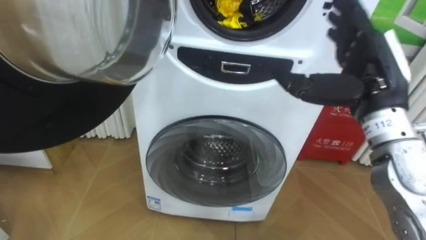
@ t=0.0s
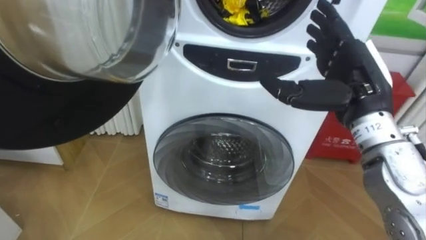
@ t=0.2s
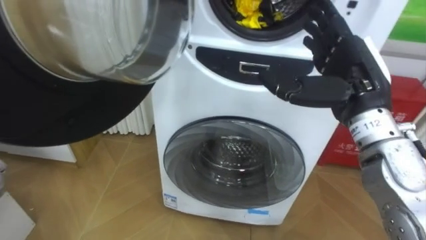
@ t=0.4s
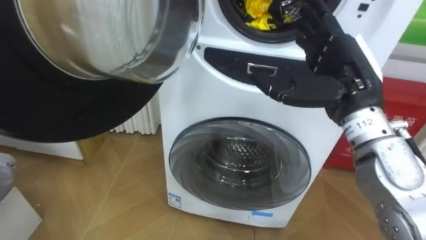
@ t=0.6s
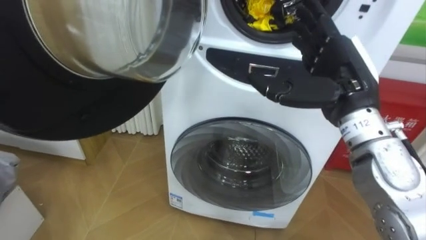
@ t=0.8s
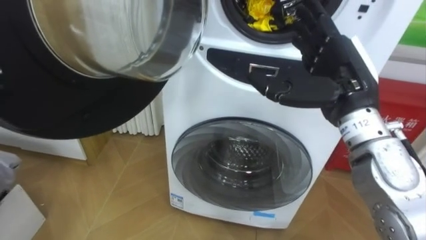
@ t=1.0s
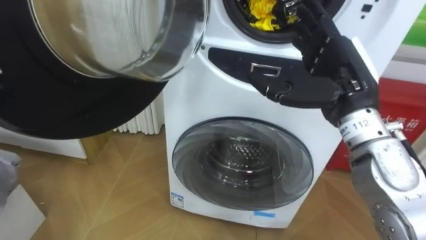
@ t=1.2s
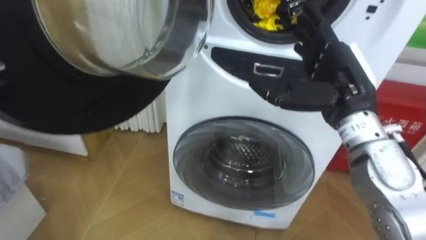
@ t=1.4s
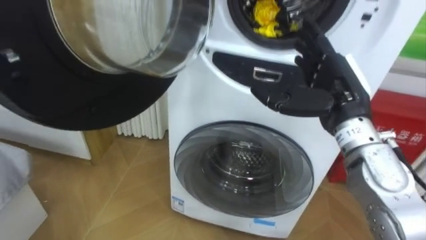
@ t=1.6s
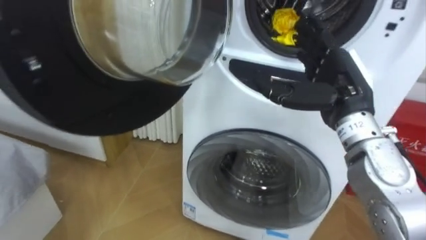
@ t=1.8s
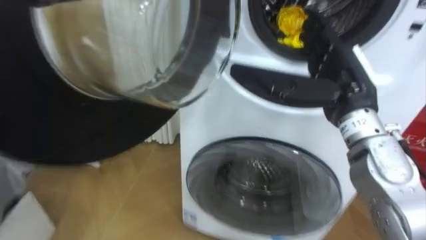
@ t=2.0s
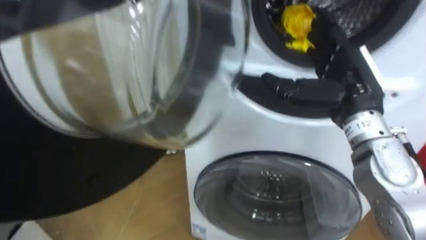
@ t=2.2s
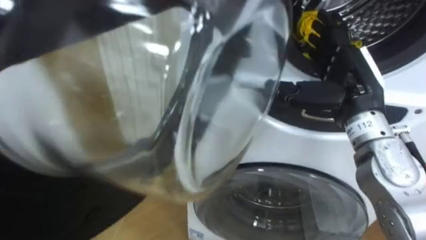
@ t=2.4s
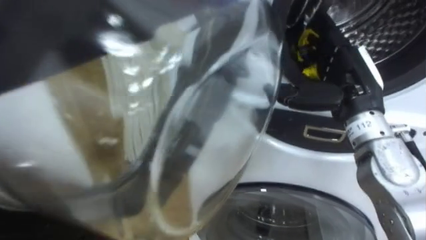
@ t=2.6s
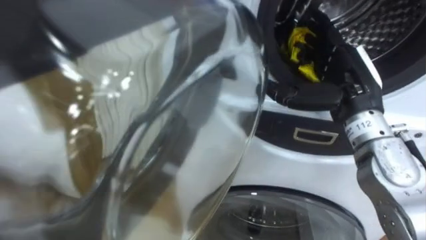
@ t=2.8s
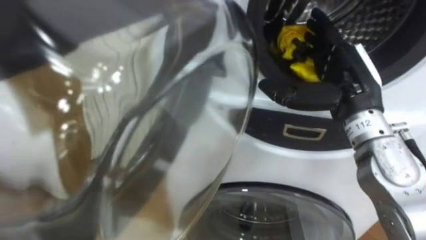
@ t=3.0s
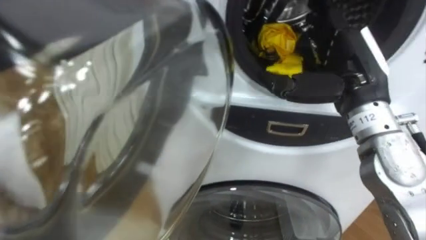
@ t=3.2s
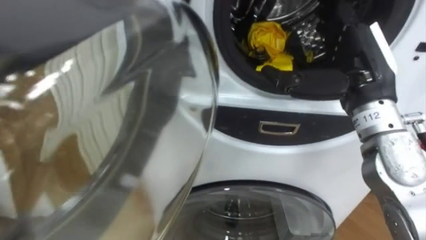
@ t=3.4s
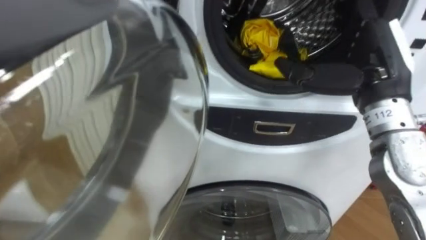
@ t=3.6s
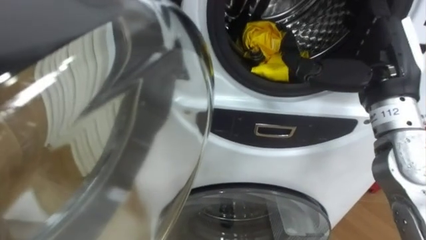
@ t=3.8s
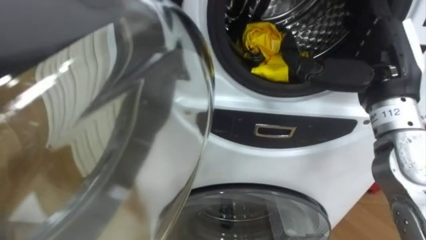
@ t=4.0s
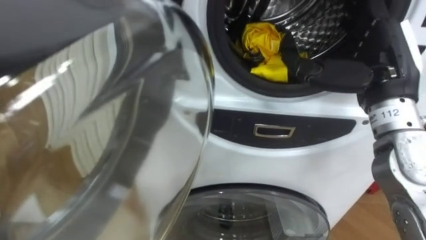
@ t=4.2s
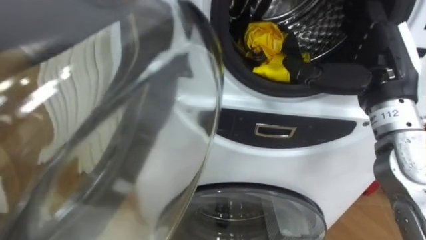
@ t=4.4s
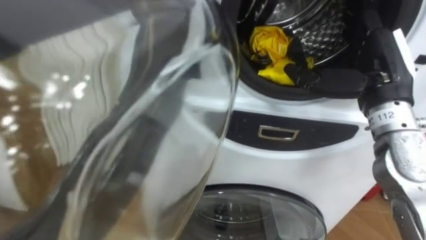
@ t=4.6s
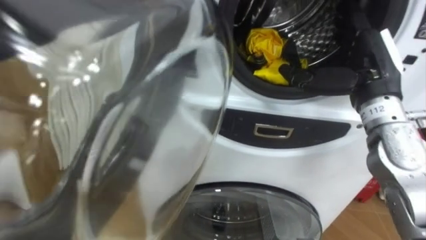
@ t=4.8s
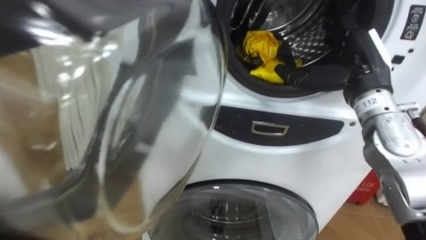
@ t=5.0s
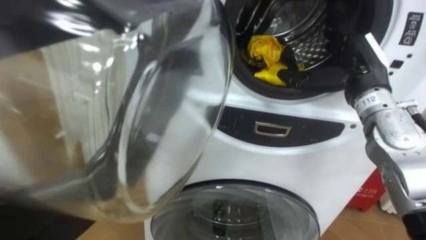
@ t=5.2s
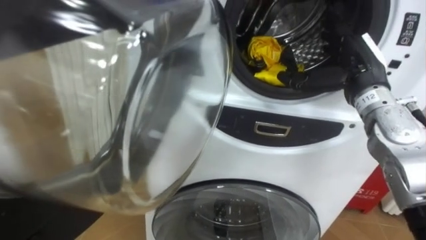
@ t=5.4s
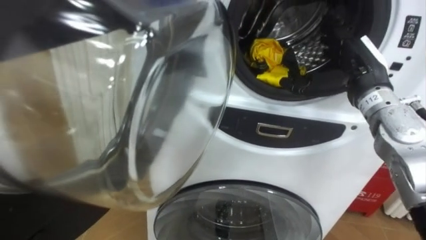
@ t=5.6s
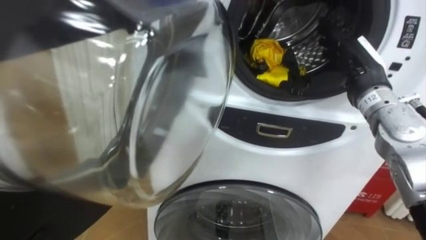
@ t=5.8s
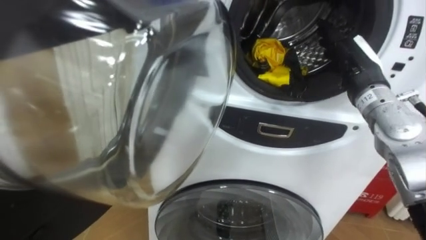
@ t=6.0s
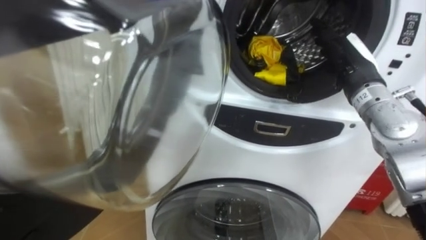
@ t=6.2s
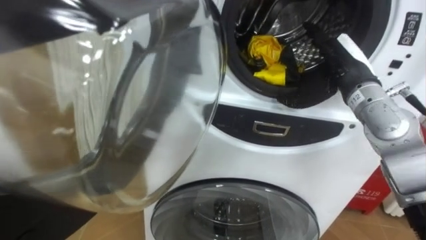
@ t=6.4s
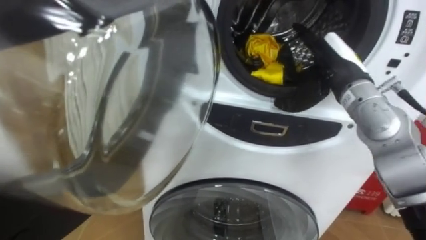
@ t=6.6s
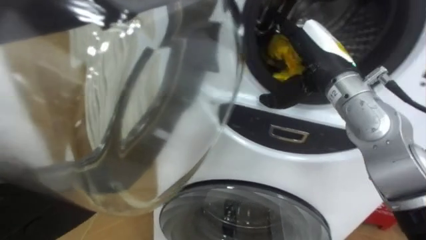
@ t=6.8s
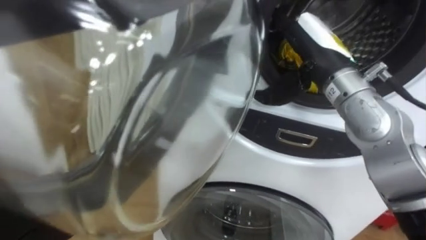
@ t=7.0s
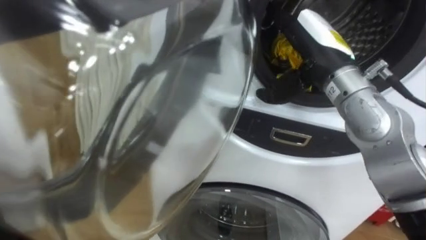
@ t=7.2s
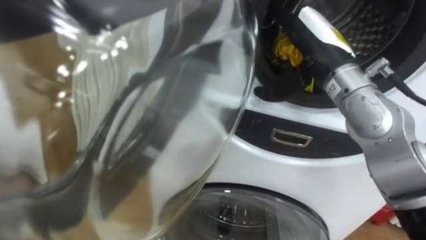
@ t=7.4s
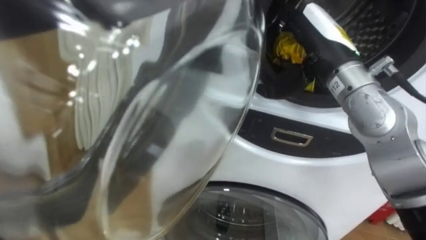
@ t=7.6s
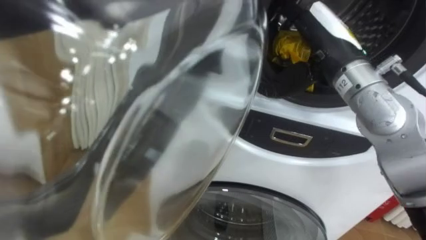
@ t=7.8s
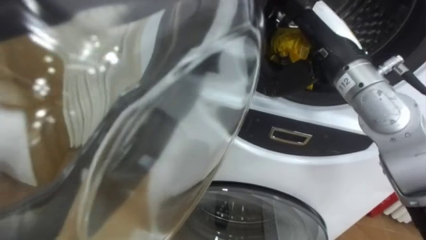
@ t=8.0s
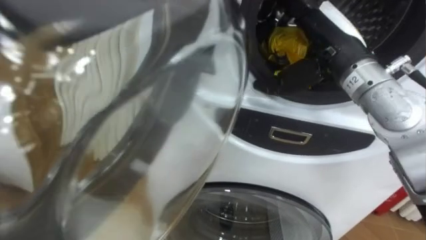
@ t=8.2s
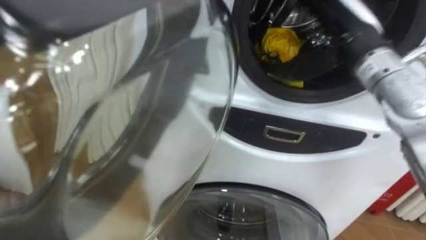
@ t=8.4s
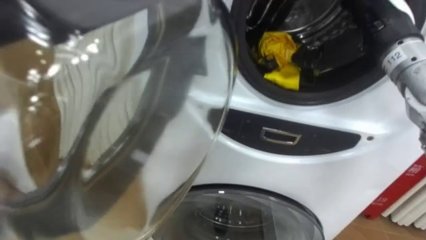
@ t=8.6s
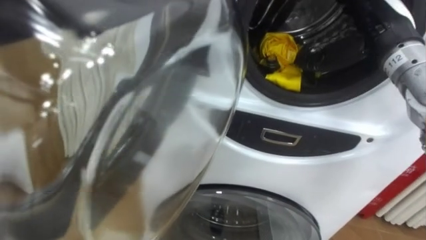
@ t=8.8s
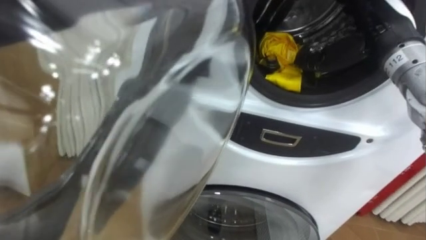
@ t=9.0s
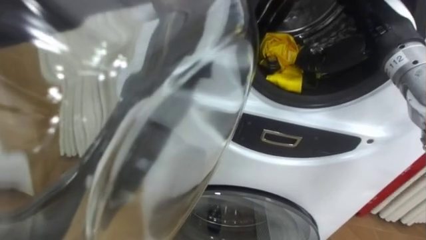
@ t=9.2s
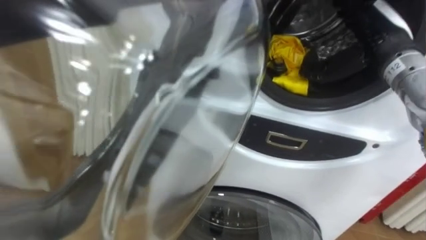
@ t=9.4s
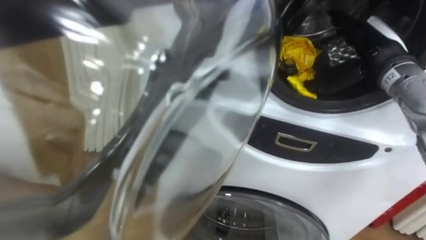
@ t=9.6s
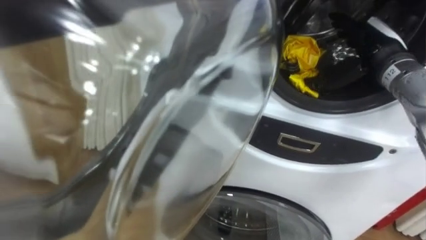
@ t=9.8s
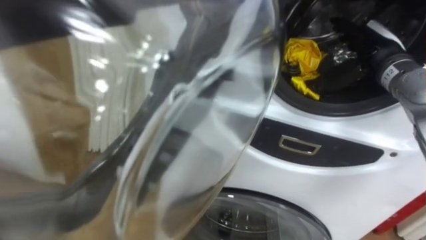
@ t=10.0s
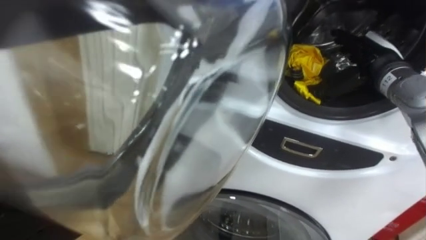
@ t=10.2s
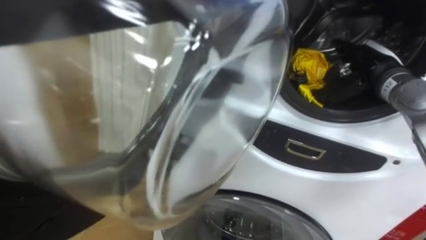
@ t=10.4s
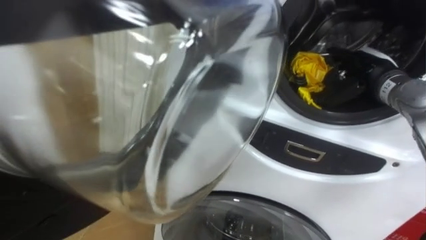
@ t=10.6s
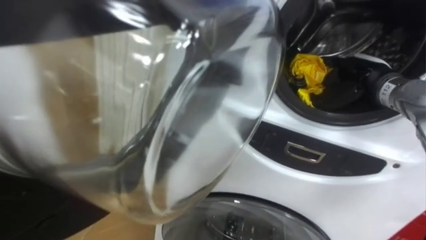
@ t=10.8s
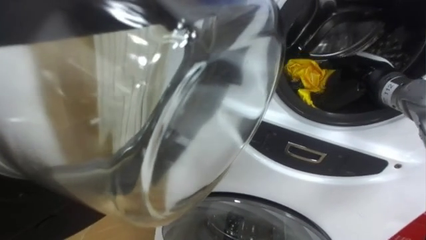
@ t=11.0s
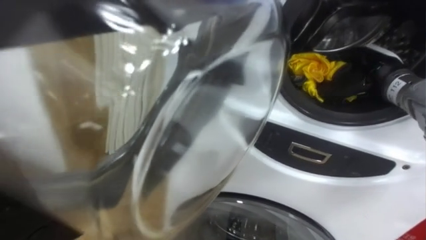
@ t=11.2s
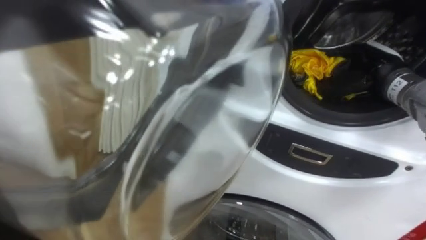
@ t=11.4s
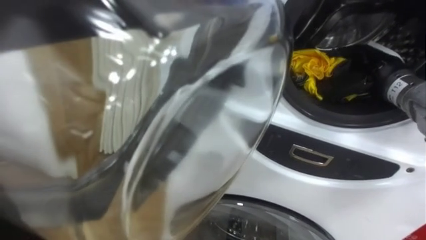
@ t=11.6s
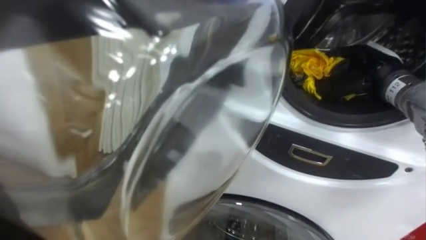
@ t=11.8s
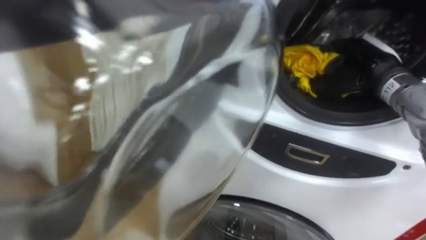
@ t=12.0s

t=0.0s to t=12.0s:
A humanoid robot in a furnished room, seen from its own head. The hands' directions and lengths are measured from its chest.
Task of the whole recording: Open the washing machine door, take out the yellow clothes, place them in the box on the right, and close the washing machine door.
t=0.0s to t=1.6s: The right hand moves about 5 cm.
t=4.4s to t=6.0s: The right hand travels forward by about 5 cm.
t=6.0s to t=7.6s: The right hand heads to the left and upward, covering some 10 cm.
t=7.6s to t=9.0s: The right hand travels to the right by about 10 cm.
t=9.0s to t=10.4s: The right hand heads downward, covering some 10 cm.
t=10.4s to t=12.0s: The right hand closes its fingers.

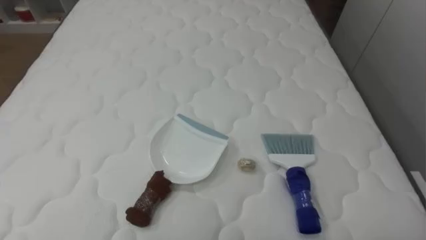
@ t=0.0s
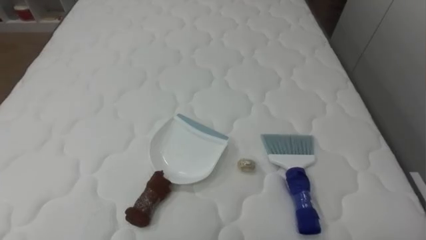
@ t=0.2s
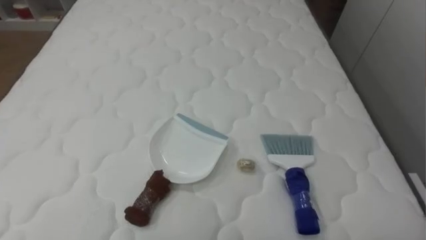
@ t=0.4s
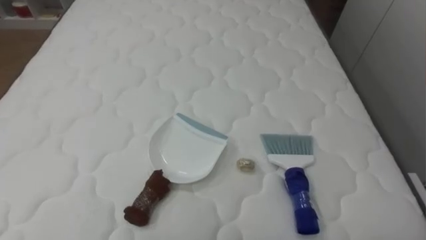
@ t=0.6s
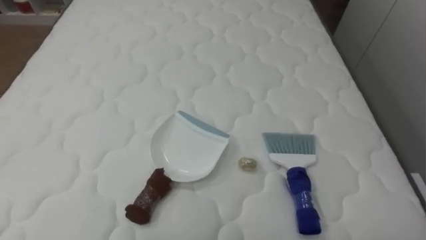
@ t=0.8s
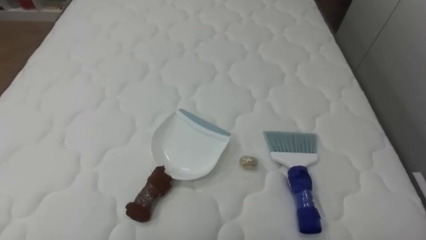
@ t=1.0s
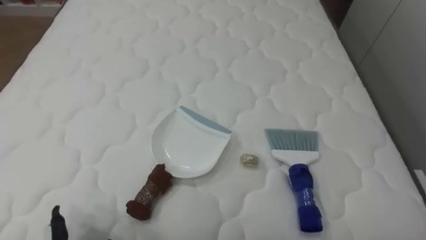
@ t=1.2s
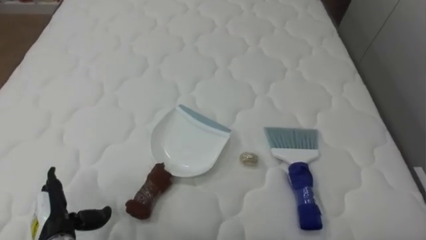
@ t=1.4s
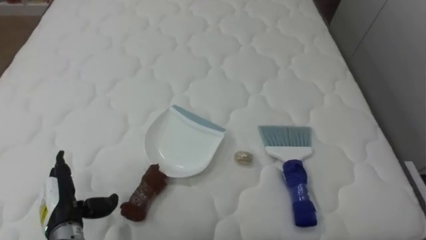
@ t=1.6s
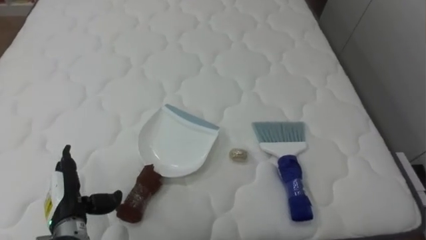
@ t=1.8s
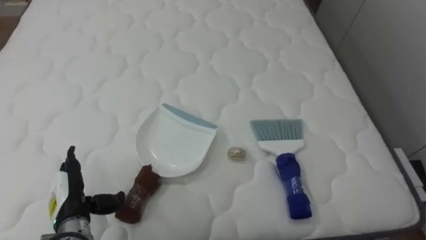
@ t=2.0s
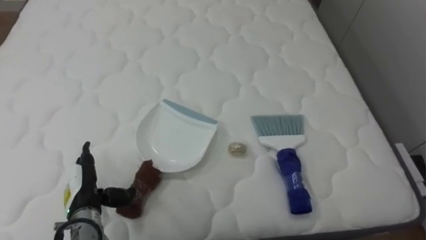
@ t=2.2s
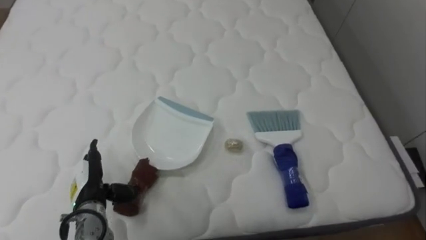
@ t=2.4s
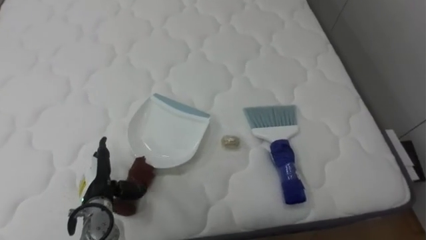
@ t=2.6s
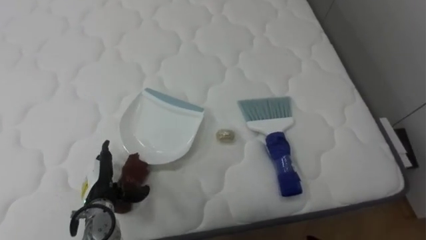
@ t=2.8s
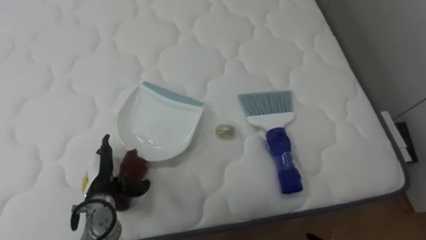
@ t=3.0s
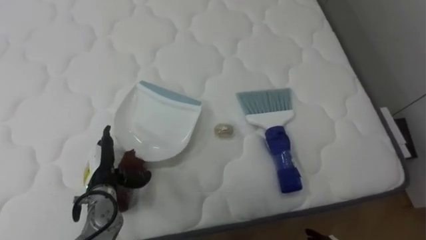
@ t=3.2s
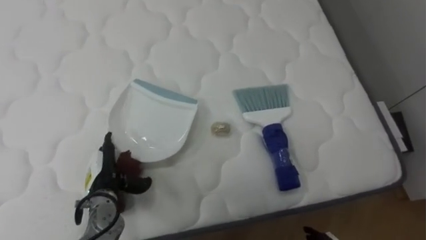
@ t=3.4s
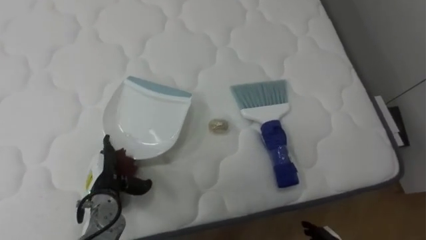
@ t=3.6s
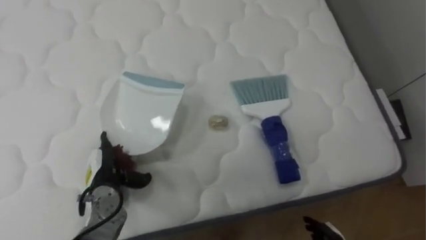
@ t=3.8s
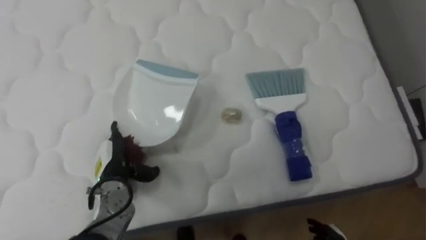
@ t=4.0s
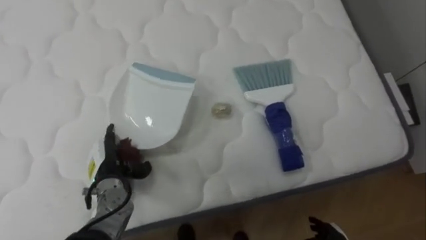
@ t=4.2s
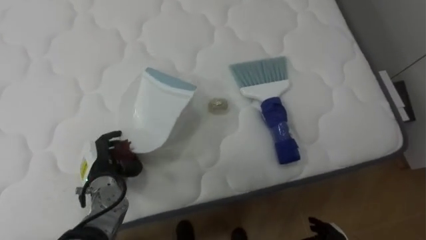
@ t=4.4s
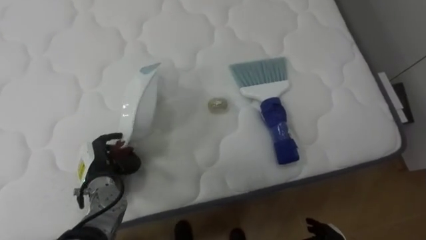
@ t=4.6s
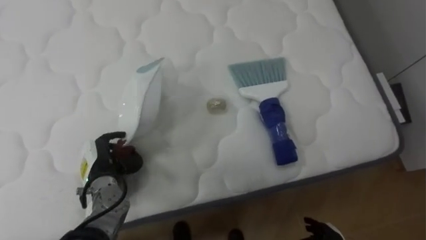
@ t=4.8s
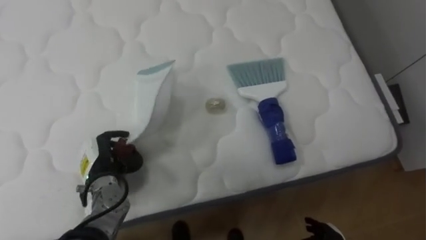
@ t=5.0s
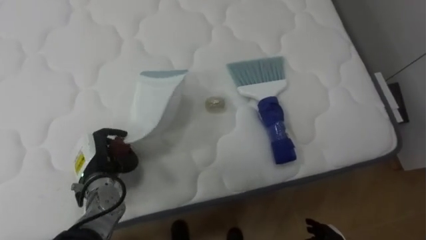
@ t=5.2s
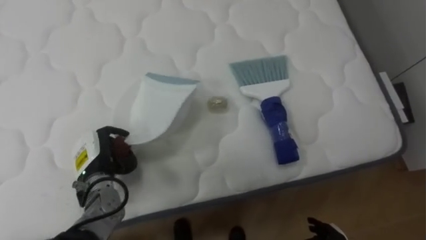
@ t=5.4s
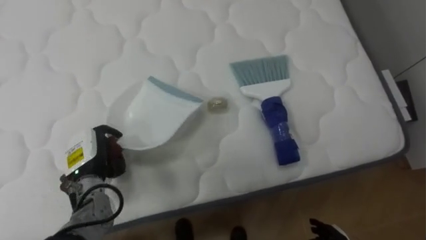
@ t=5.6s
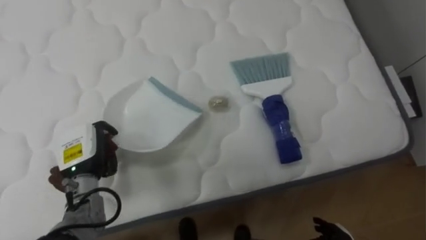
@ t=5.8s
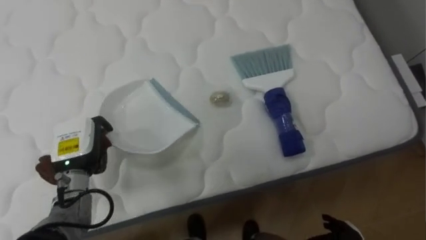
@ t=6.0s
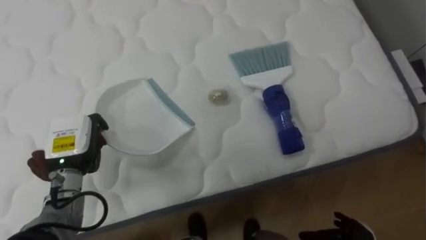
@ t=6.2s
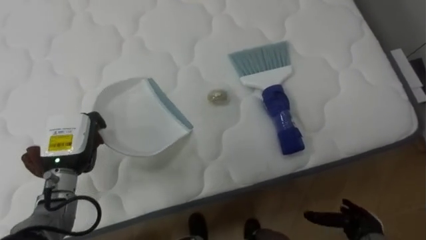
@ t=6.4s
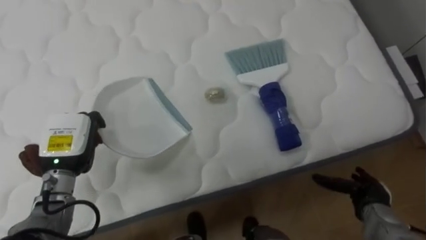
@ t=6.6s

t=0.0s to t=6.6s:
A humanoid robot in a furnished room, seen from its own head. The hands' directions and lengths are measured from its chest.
Task of the whole recording: Pick up the brush on your right and the dustpan on your left. Use the brush to sweep the crumpled paper on the bed into the dustpan, then turn left and empty it into the basket.
t=1.6s to t=3.2s: The left hand goes about 10 cm forward and to the right.
t=3.2s to t=5.0s: The left hand closes.
t=5.0s to t=6.6s: The left hand goes some 10 cm upward.
